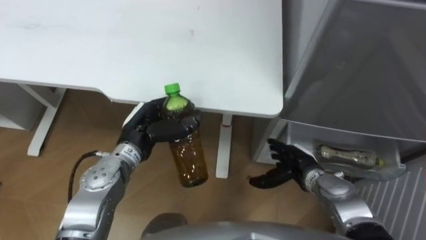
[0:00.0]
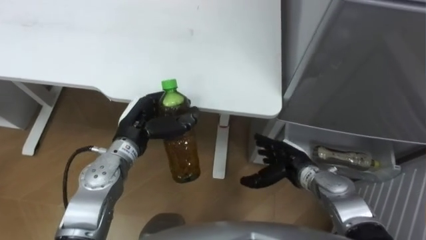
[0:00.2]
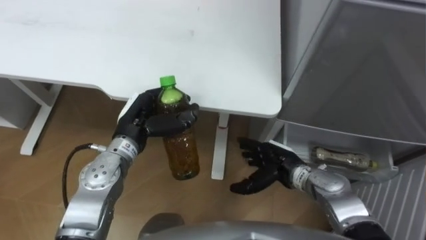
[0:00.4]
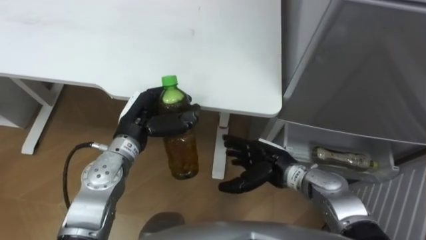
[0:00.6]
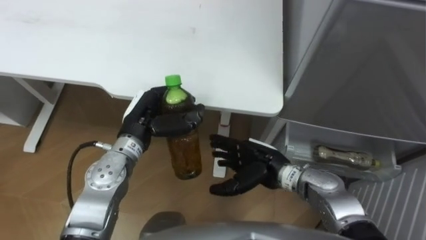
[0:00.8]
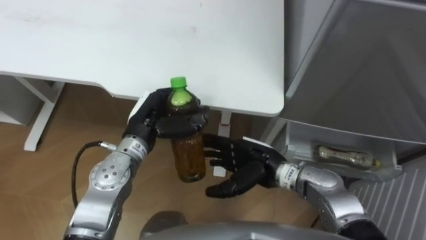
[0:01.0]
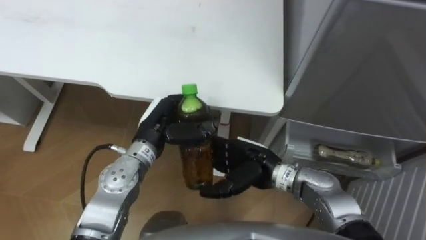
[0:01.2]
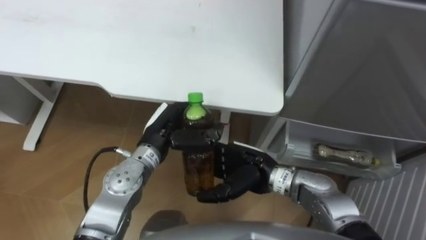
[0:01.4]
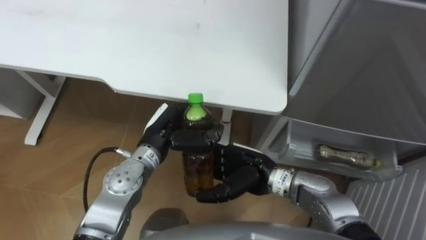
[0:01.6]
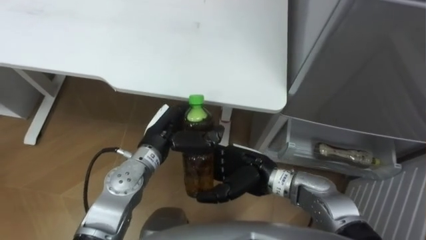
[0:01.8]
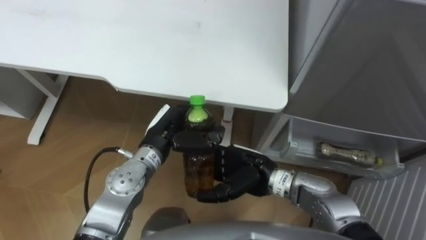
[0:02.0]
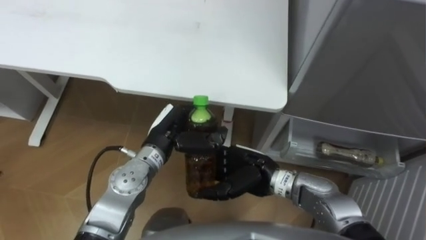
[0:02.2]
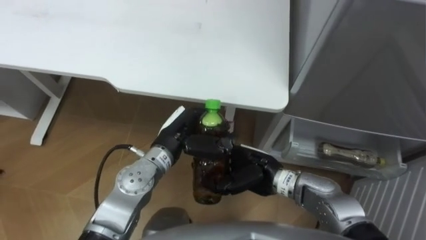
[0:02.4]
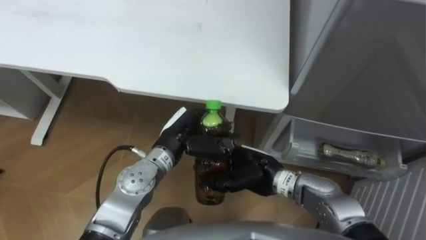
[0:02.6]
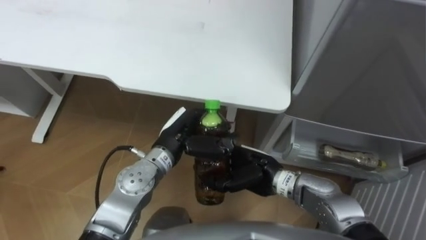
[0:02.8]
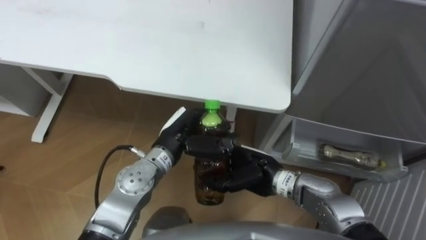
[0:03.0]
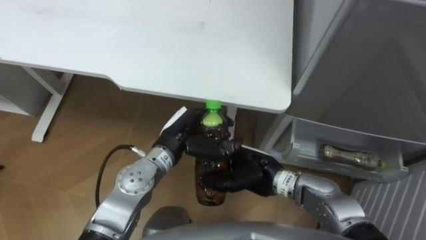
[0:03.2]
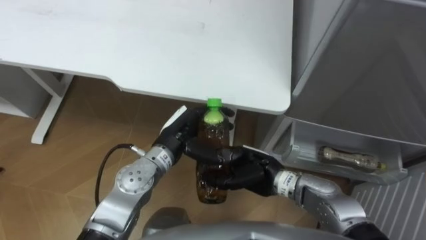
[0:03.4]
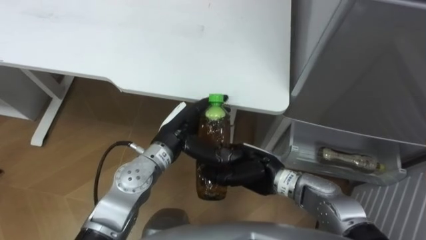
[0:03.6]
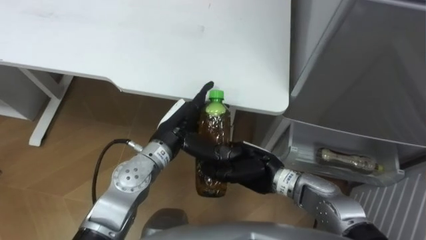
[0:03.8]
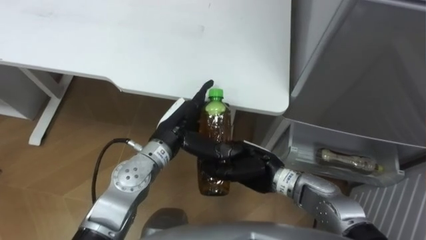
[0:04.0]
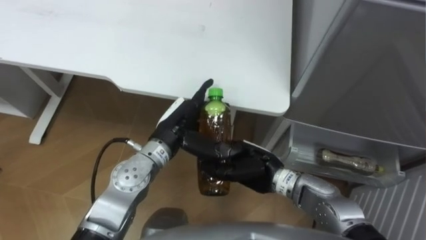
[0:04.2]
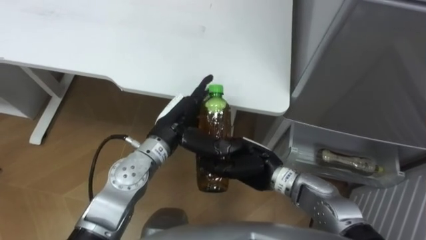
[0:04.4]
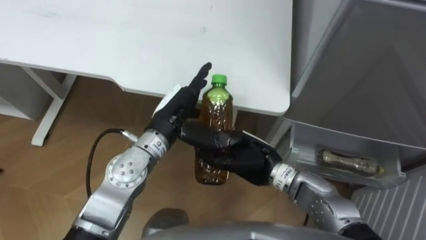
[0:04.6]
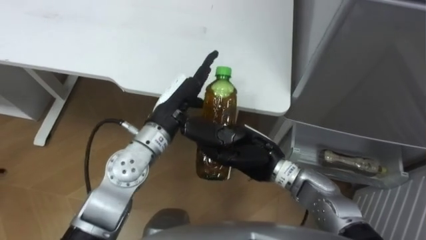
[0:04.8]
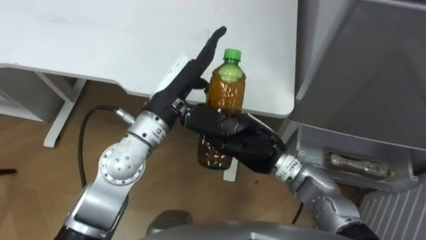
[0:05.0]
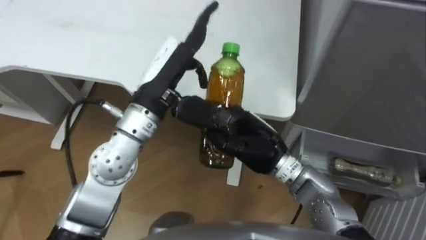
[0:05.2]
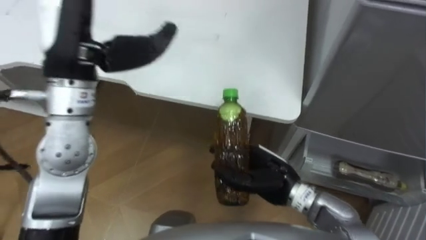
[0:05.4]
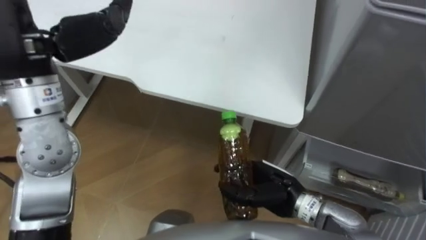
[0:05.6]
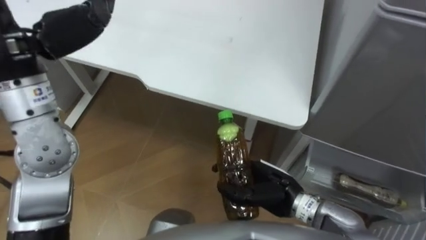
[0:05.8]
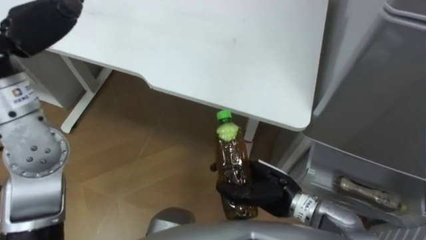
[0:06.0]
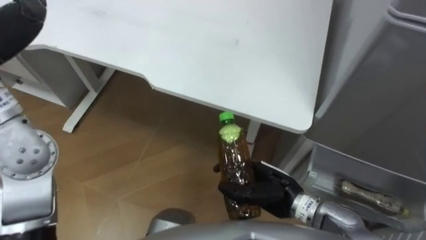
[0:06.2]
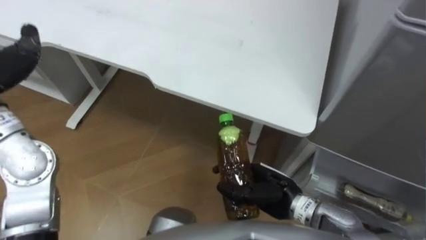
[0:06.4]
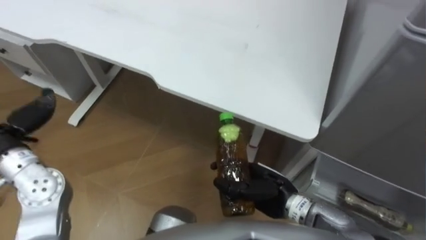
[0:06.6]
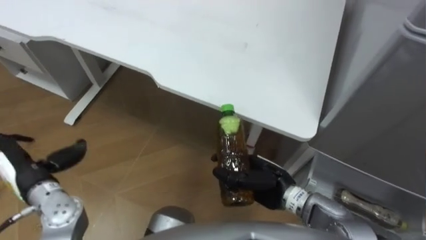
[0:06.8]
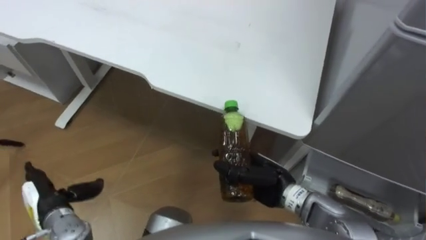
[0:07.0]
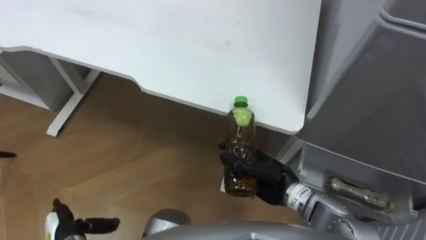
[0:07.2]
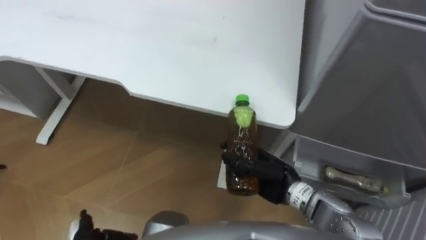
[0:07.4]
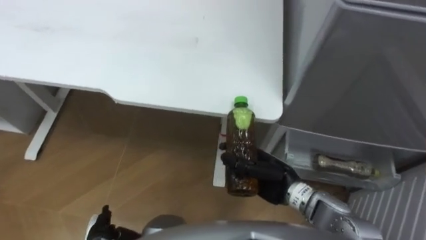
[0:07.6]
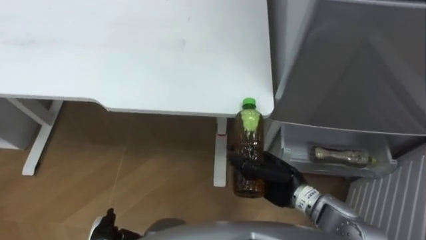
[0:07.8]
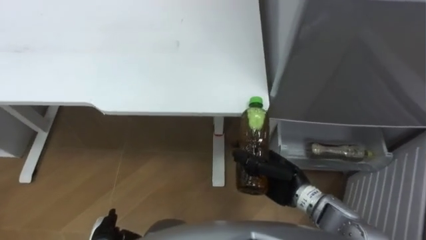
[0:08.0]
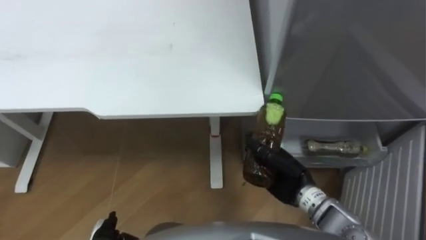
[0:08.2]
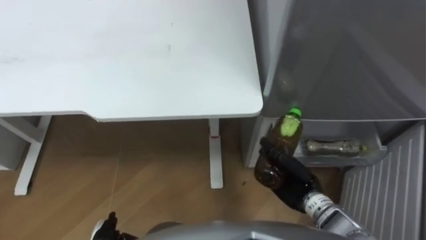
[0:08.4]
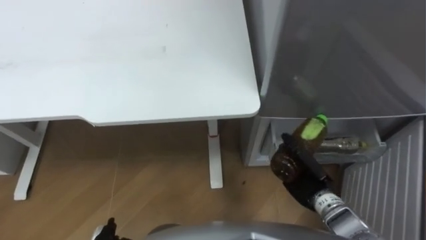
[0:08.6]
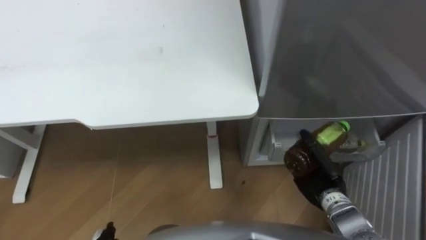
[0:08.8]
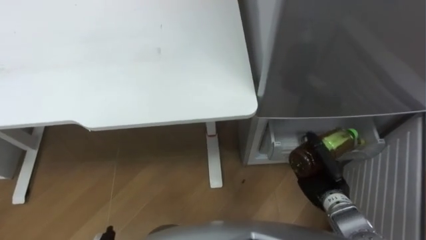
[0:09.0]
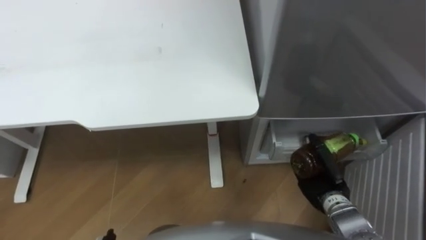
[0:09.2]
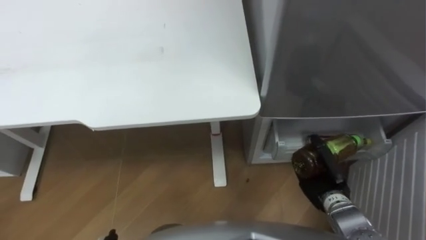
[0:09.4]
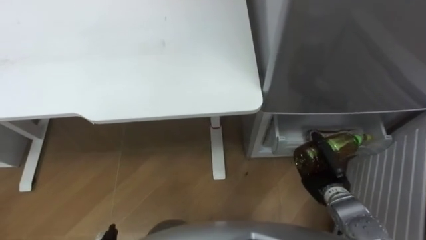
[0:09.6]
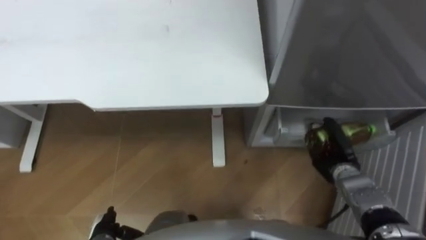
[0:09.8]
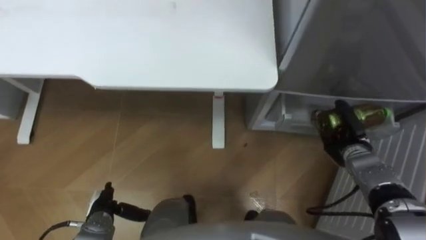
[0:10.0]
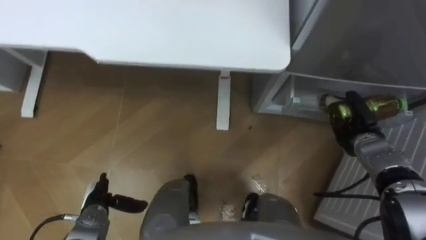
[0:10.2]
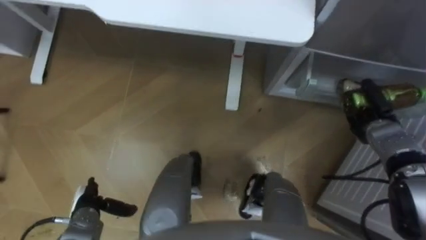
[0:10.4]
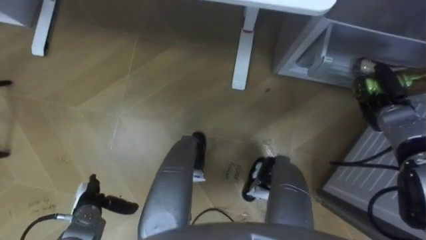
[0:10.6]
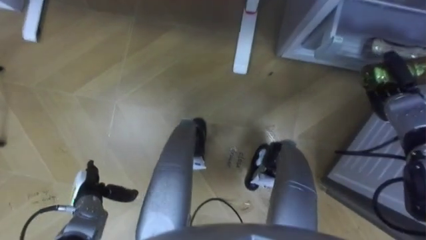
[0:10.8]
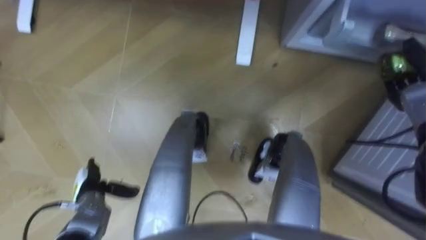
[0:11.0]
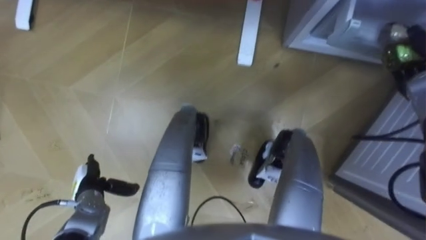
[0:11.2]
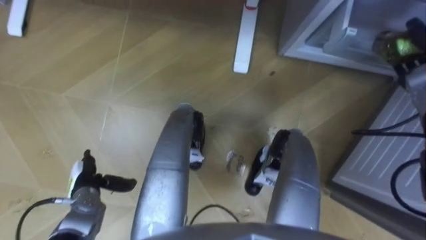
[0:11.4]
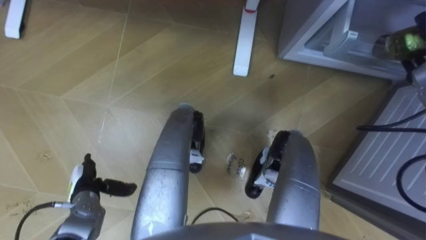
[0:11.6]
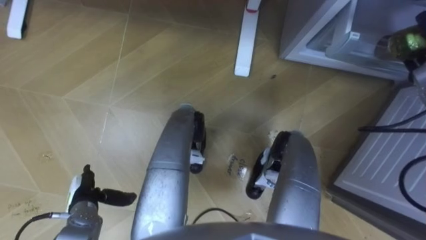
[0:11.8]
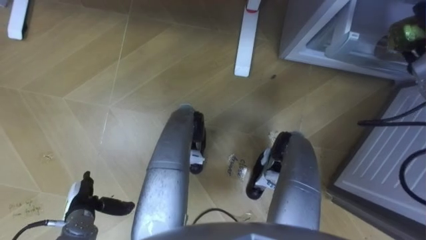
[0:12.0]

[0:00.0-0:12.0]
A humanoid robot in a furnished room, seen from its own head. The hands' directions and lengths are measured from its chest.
Task of the whole recording: Place the drink on the table on the bottom shelf of the refrigerator, then close the drawer and the refrigerator door.
0:00.0 to 0:01.6: The right hand shifts roughly 15 cm to the left and upward.
0:01.6 to 0:03.0: The right hand closes up.
0:03.0 to 0:04.4: The left hand opens up.
0:04.4 to 0:06.0: The right hand shifts by roughly 5 cm.
0:07.6 to 0:09.0: The right hand moves to the right, about 15 cm.
0:09.0 to 0:10.4: The right hand is displaced forward and to the right by roughly 15 cm.

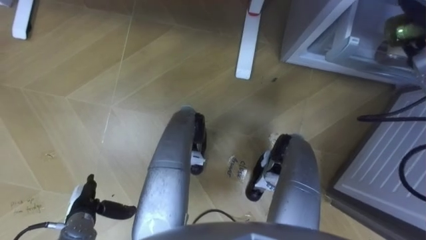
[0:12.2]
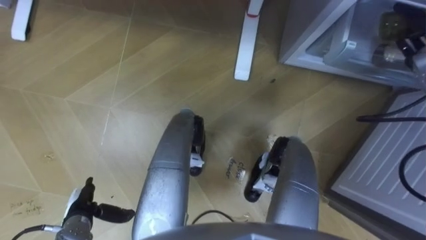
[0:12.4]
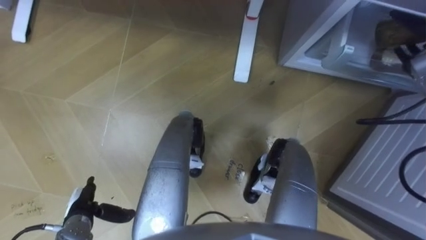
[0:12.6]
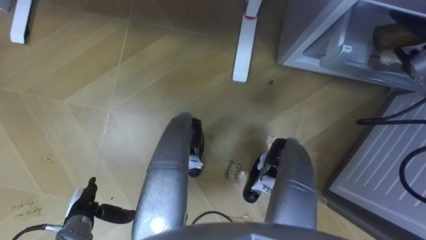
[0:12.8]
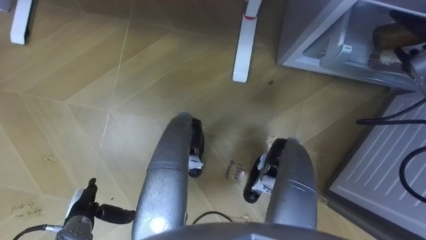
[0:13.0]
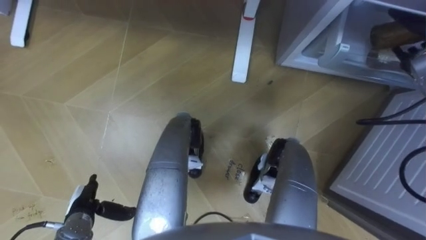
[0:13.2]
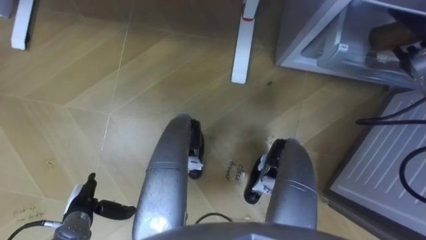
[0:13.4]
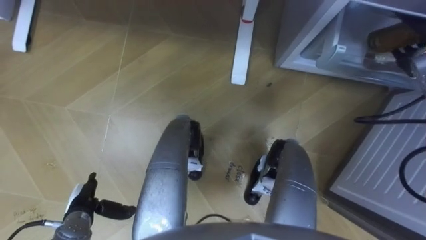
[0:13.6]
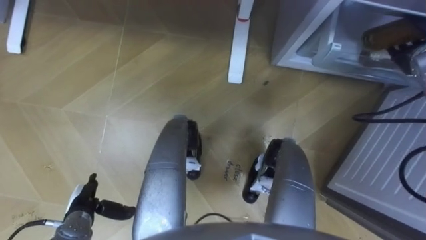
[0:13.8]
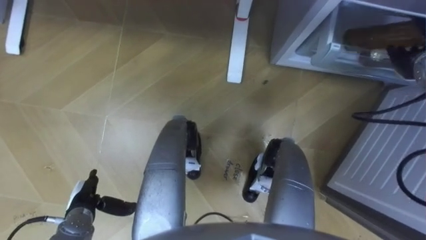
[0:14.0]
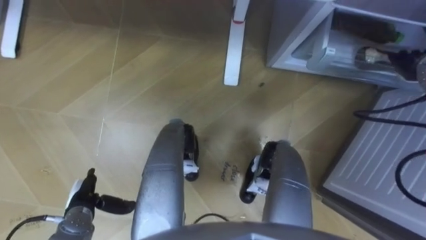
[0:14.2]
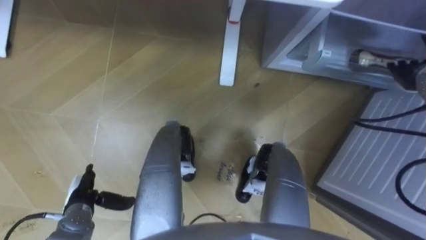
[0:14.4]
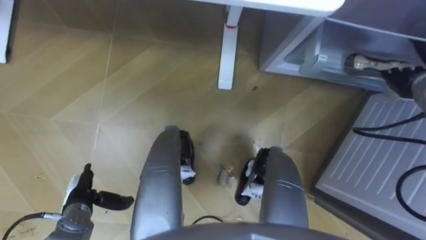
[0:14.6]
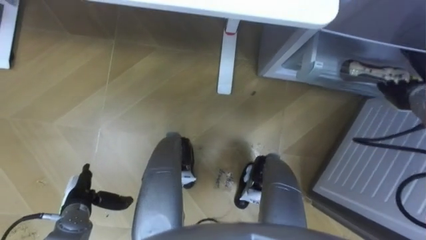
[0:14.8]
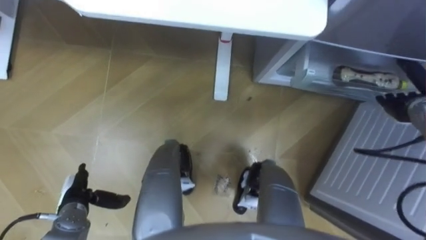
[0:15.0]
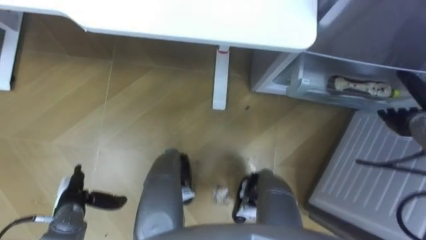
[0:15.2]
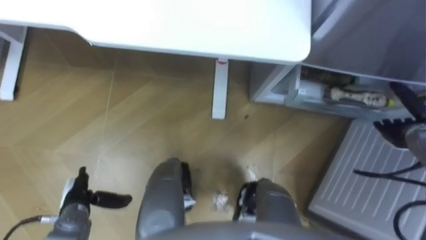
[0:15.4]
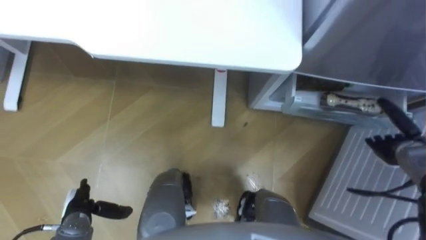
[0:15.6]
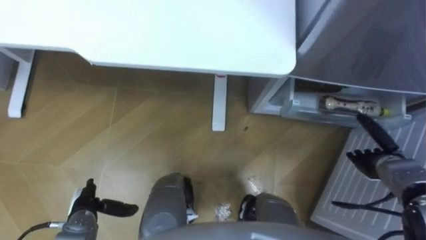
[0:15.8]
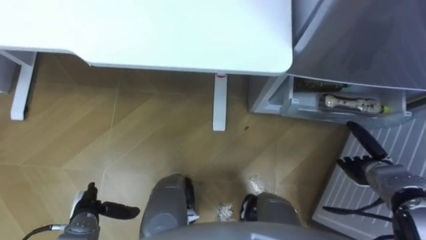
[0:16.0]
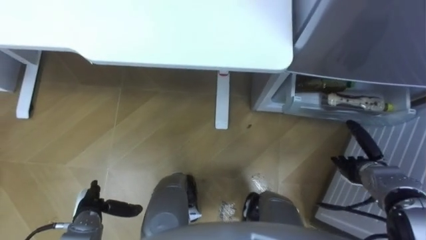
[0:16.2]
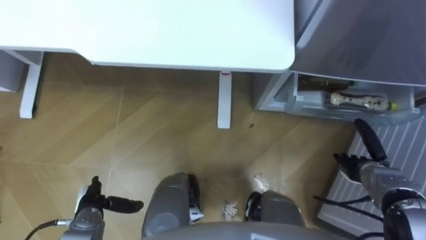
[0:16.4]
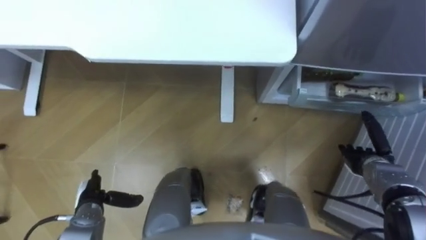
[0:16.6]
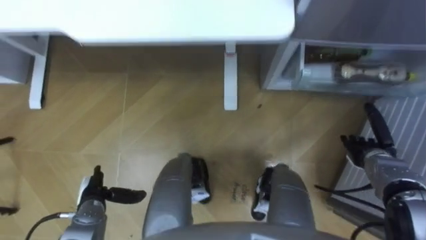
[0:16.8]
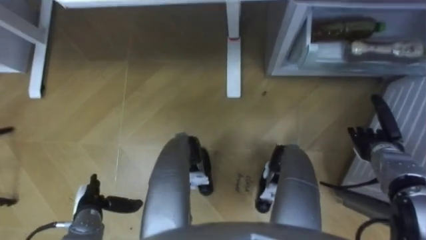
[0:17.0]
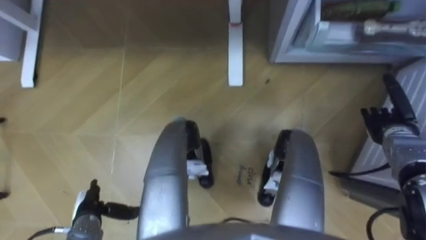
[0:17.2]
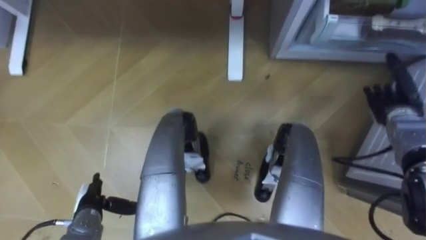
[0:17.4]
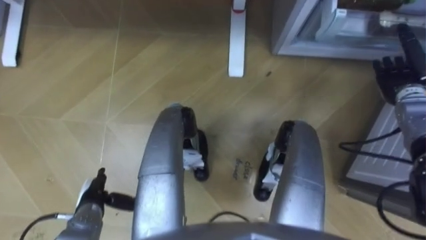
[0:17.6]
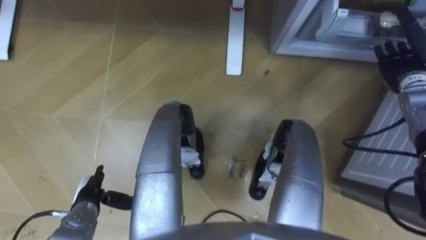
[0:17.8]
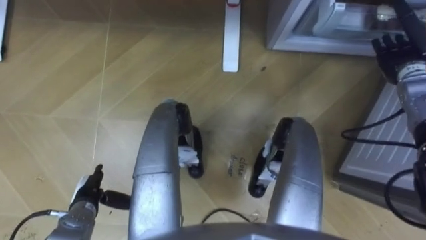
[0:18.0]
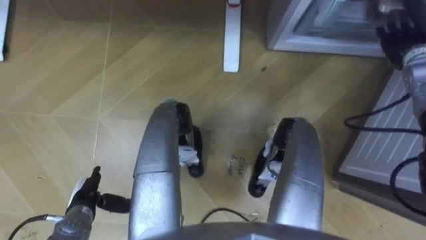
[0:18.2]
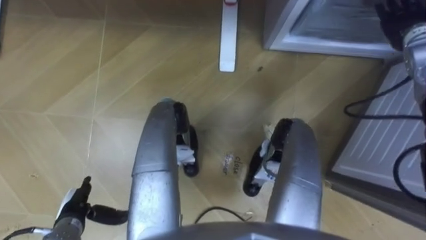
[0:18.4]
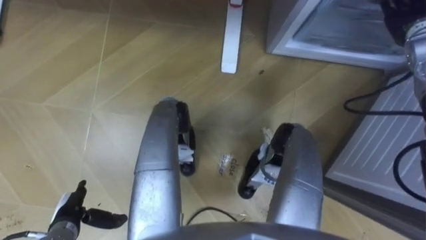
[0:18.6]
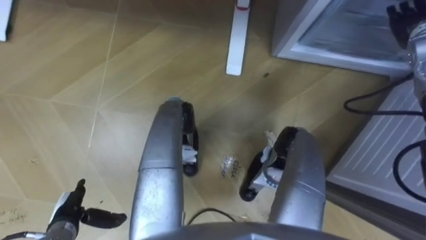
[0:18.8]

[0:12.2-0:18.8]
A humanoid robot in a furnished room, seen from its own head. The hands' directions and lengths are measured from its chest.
Task of the whole recording: Place the drink on the table on the bottom shelf of the refrigerator, then close the drawer and the refrigerator door.
0:13.8 to 0:15.4: The right hand heads backward and downward, covering roughly 15 cm.
0:15.4 to 0:17.2: The right hand goes downward and returns, about 10 cm each way.
0:17.2 to 0:18.8: The right hand is displaced upward and forward by about 20 cm.
